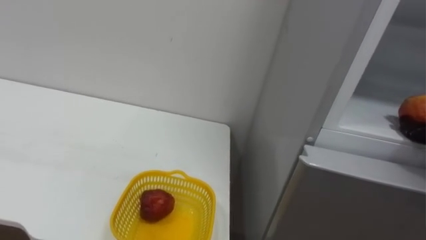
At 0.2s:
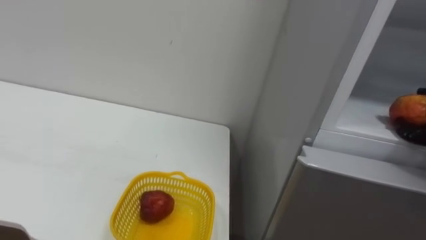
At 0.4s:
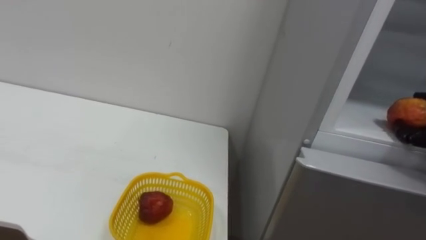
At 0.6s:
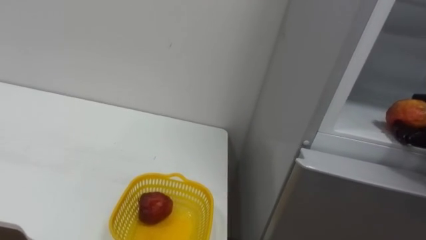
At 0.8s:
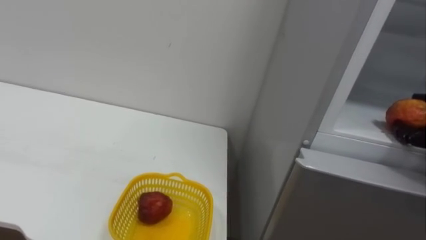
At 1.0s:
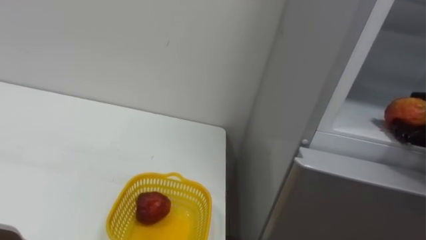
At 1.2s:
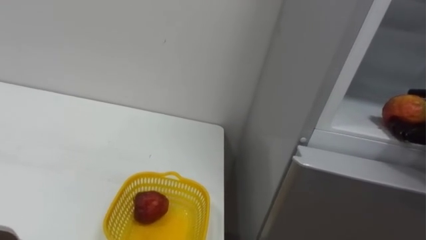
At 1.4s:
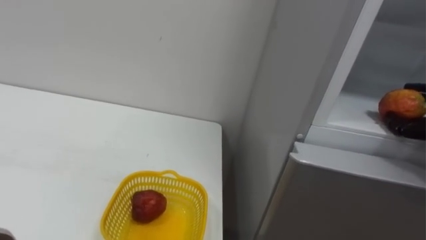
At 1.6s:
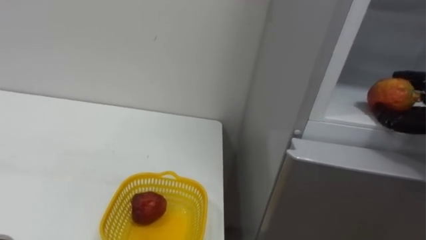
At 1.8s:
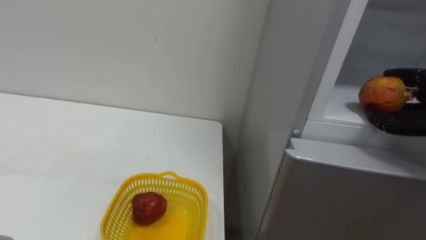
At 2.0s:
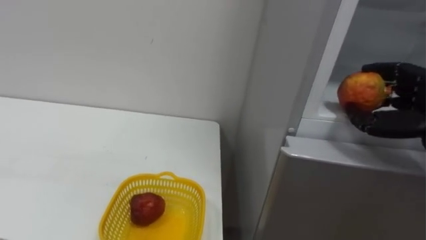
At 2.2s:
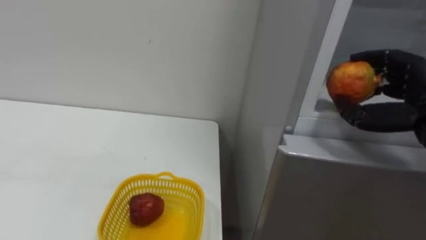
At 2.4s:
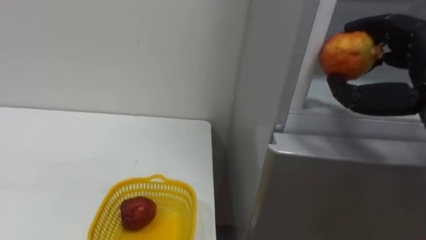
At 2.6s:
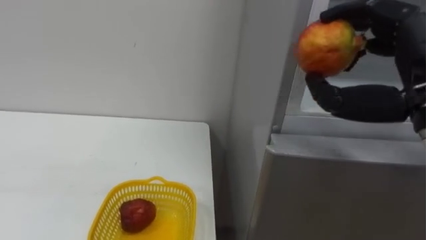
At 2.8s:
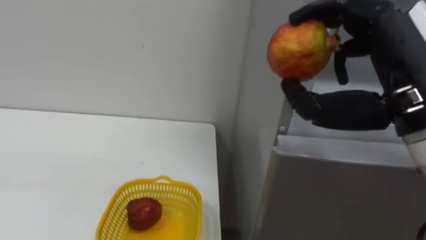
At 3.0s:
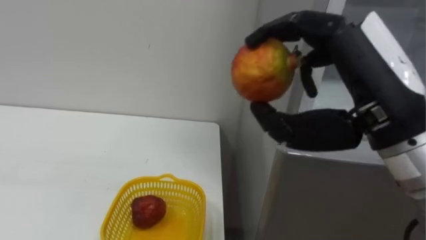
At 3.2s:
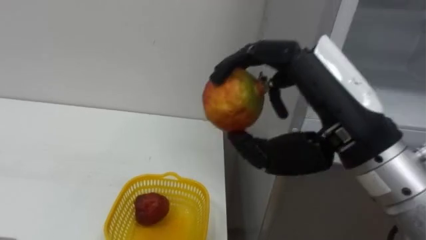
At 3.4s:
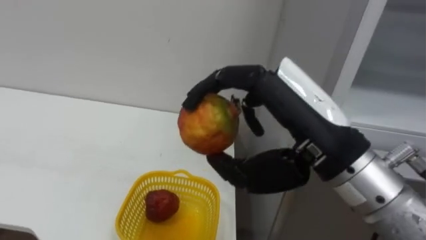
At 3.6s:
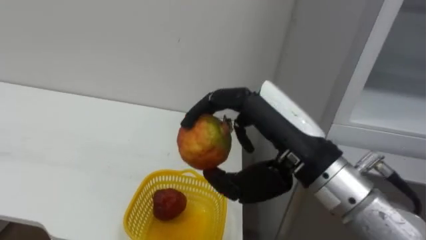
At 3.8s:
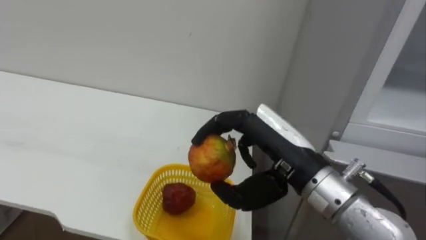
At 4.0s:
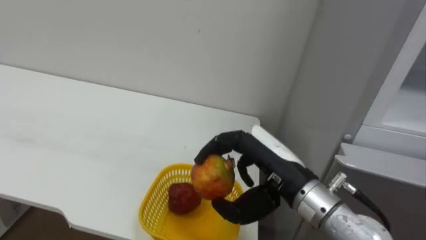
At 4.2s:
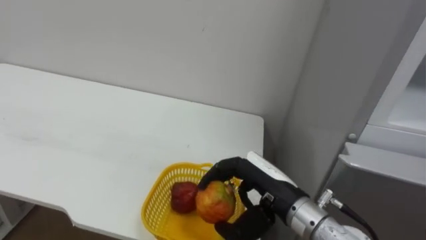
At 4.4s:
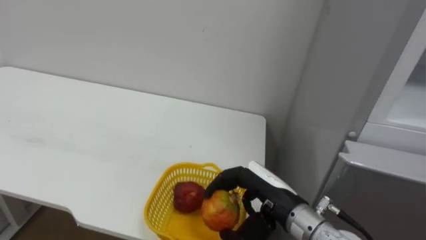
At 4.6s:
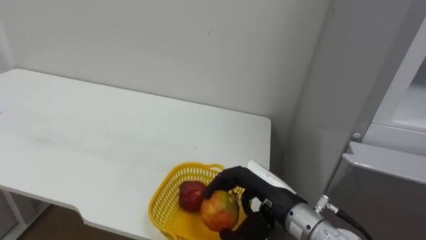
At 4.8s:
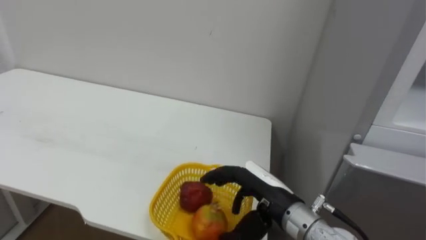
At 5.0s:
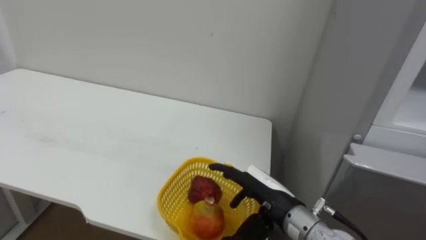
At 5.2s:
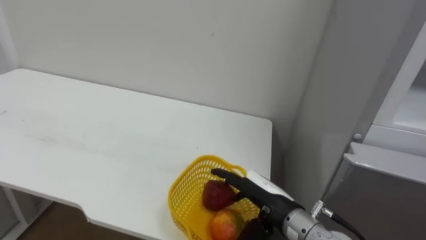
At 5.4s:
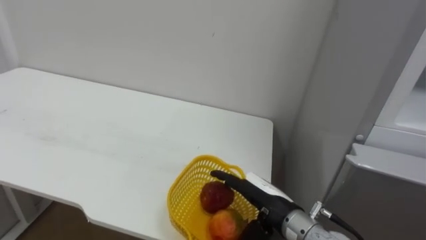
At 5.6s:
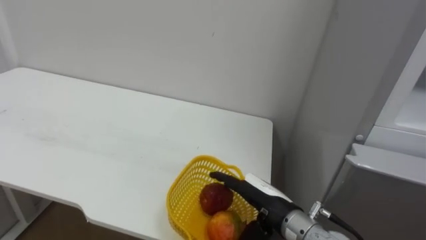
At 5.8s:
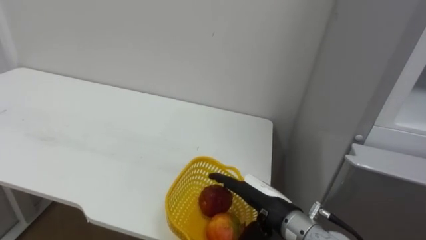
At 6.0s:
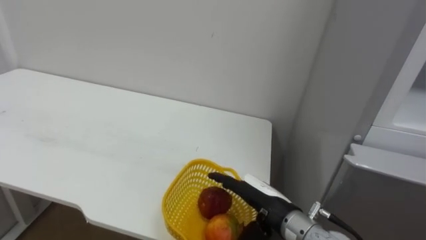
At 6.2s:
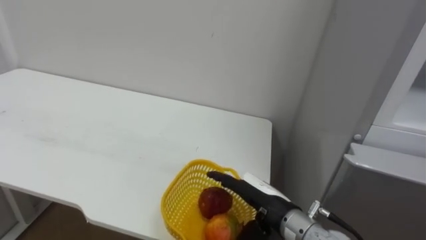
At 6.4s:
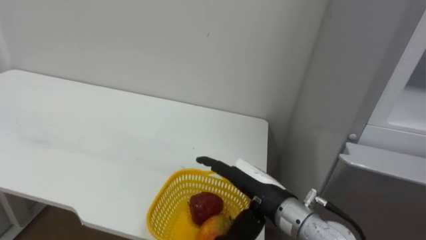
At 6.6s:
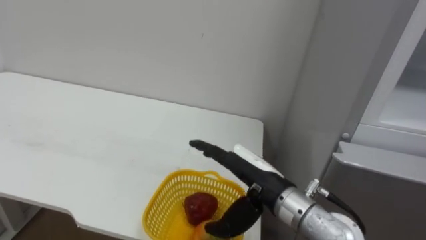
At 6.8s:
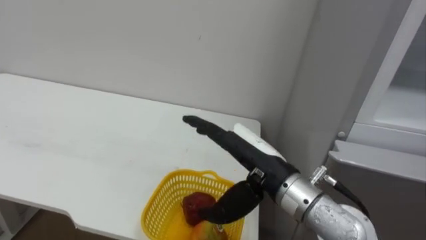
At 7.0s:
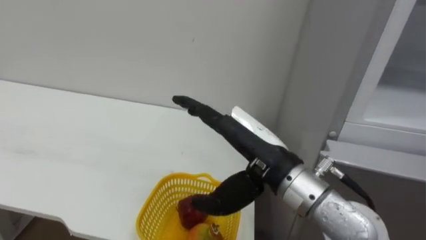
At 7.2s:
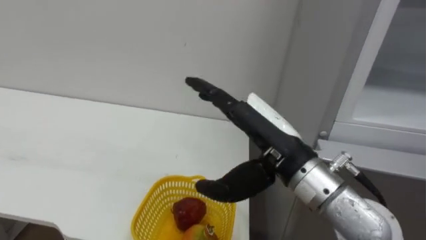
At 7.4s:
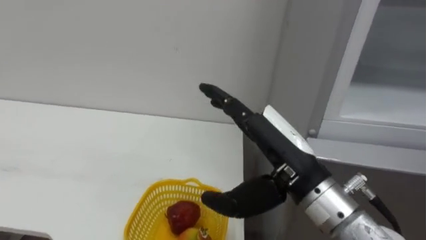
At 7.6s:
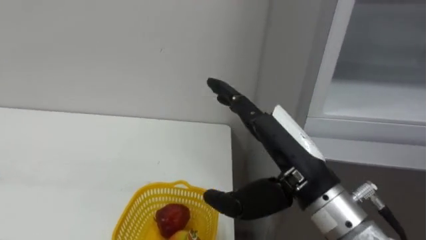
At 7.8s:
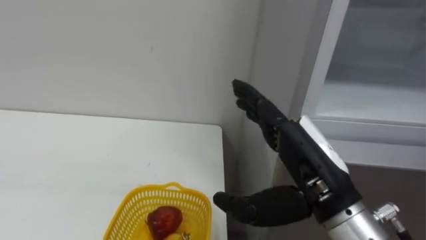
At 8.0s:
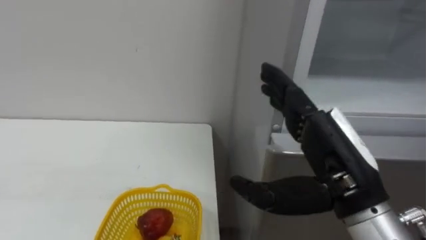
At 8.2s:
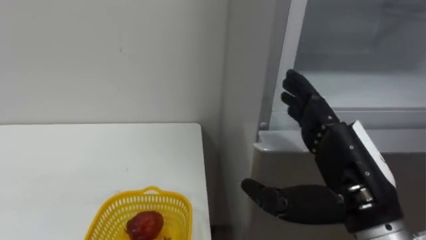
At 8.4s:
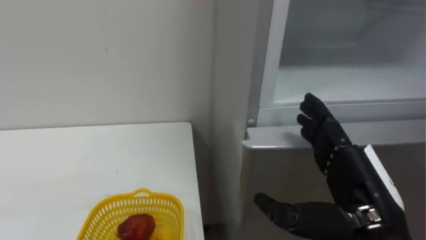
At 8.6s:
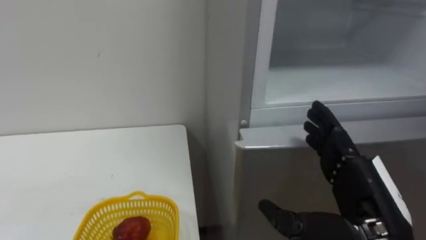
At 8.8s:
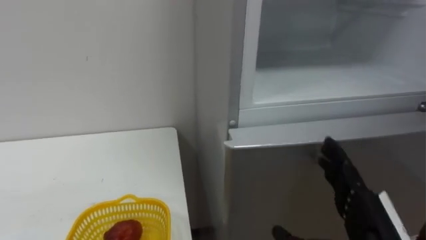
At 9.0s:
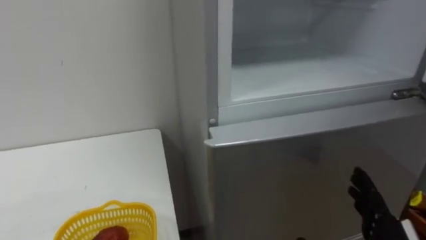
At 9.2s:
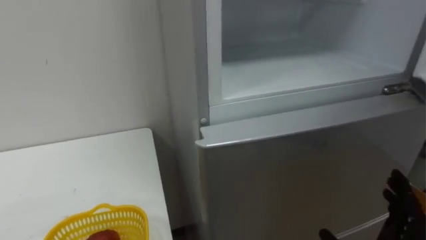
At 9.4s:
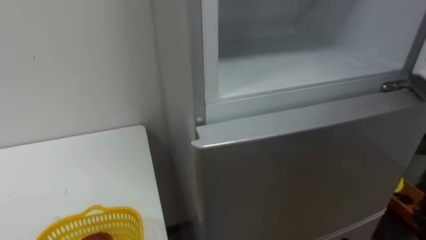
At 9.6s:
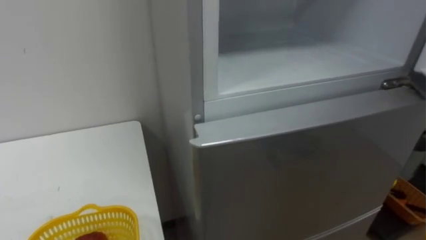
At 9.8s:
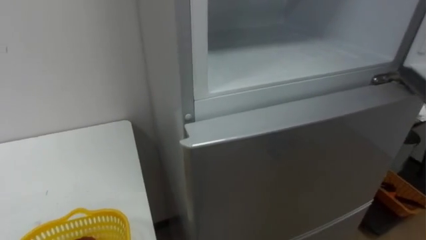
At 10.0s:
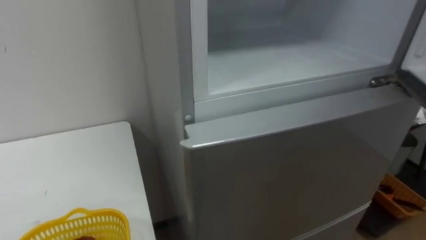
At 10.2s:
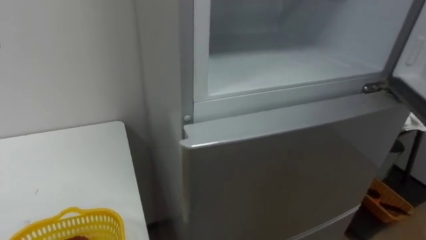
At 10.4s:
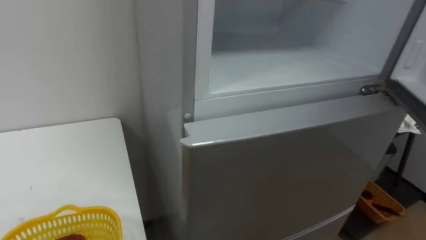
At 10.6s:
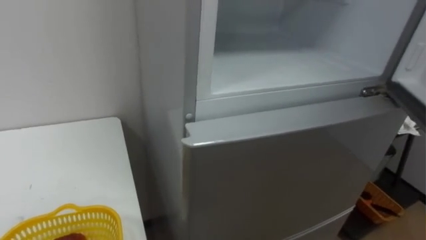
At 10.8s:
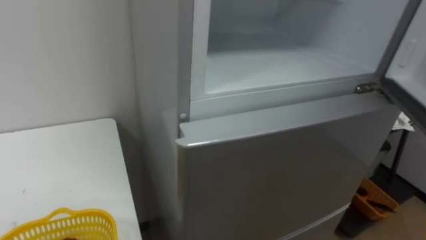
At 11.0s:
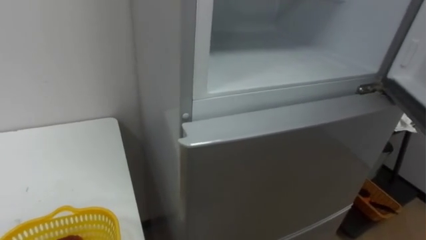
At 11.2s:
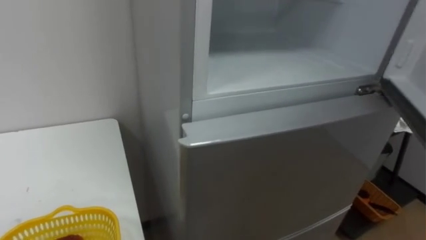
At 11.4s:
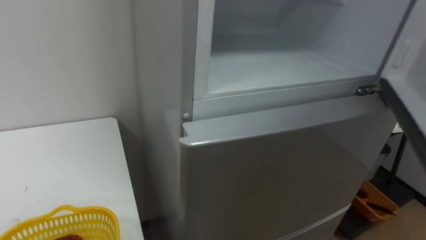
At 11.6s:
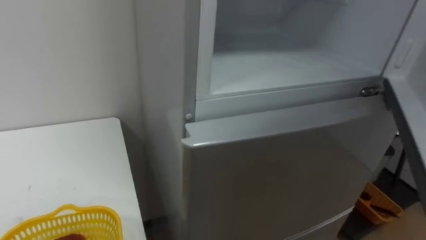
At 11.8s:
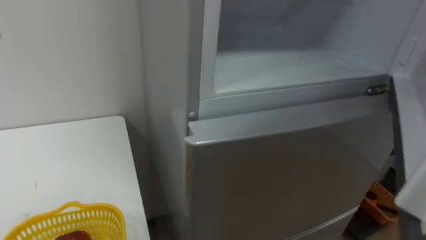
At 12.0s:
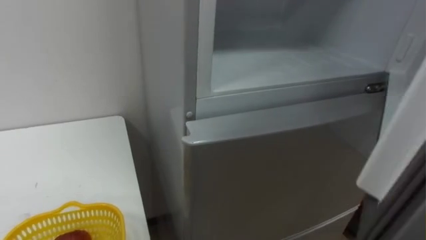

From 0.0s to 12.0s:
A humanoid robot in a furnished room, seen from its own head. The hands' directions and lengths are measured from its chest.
Task of the whole recording: Open the refrigerator door, take out the apple and the pomegranate, place them in the fruit basket on the left, and close the refrigerator door.
From 3.0s to 4.4s: The right hand heads downward, covering some 20 cm.
From 4.4s to 6.0s: The right hand opens.
From 6.0s to 7.6s: The right hand goes some 15 cm upward.

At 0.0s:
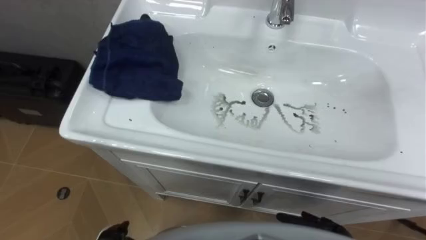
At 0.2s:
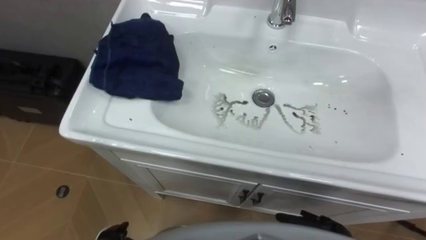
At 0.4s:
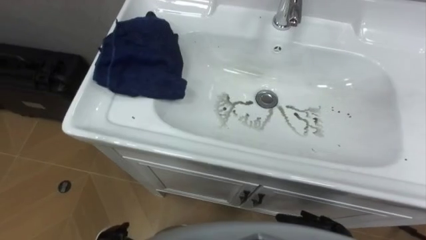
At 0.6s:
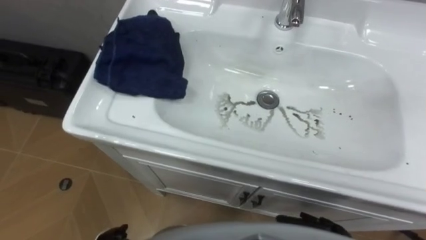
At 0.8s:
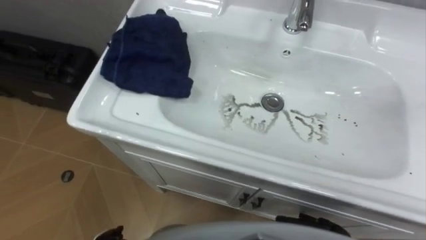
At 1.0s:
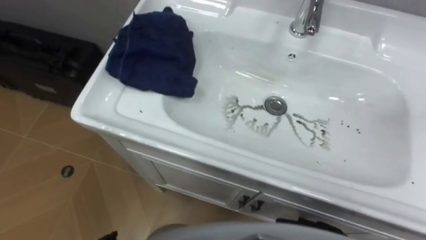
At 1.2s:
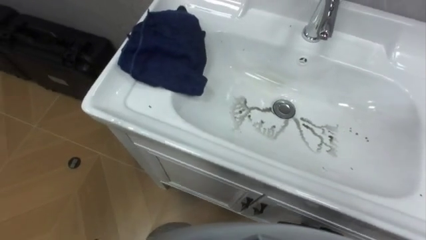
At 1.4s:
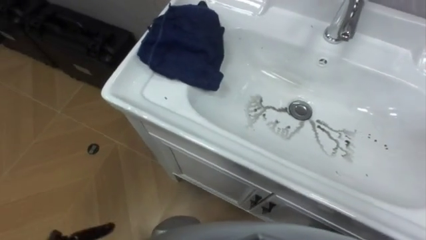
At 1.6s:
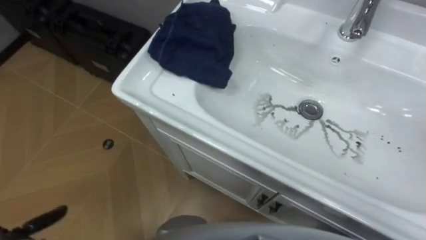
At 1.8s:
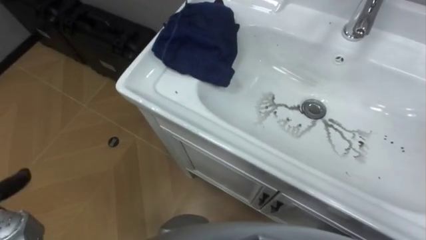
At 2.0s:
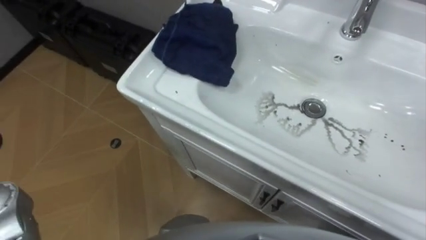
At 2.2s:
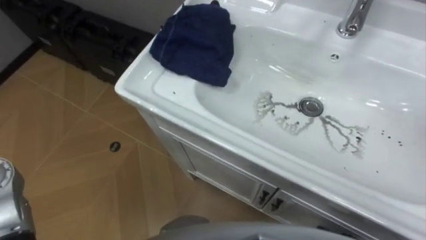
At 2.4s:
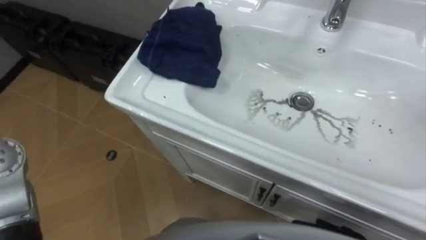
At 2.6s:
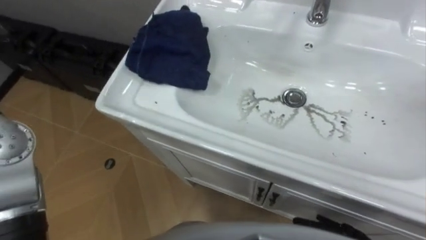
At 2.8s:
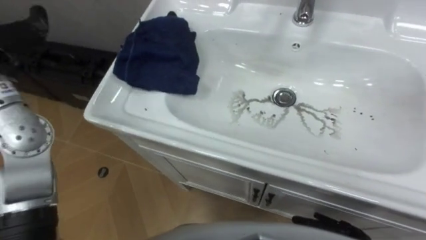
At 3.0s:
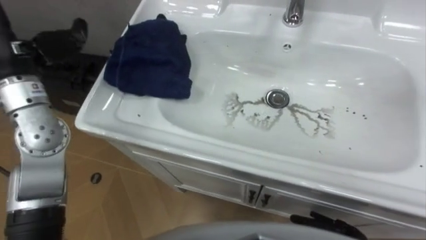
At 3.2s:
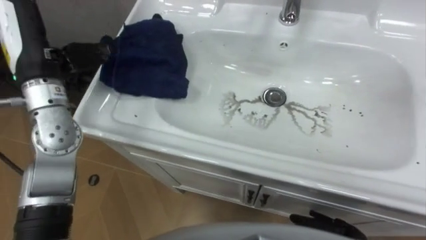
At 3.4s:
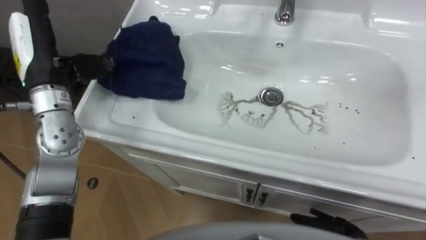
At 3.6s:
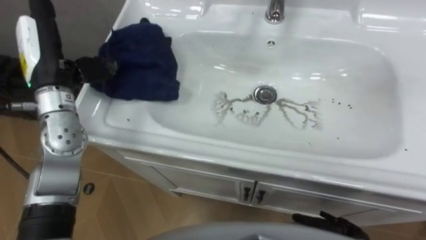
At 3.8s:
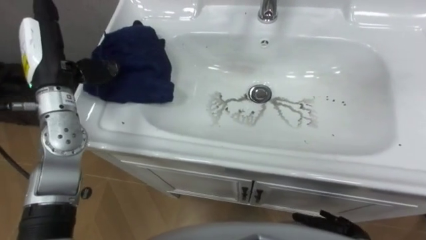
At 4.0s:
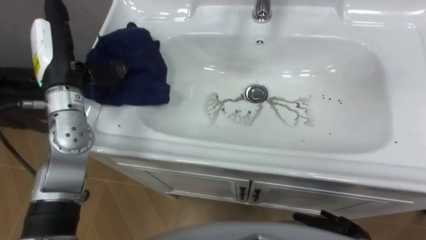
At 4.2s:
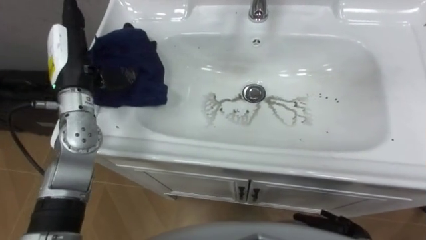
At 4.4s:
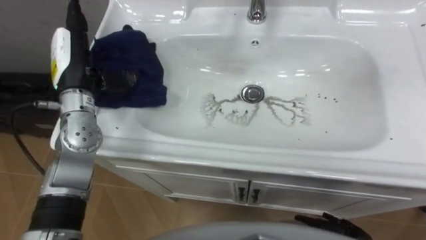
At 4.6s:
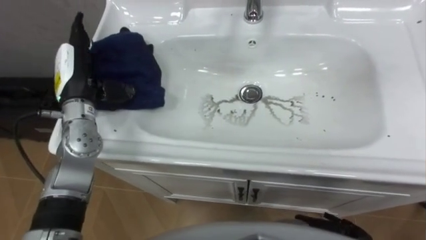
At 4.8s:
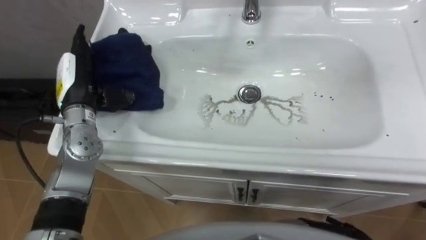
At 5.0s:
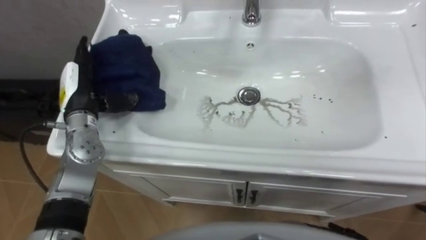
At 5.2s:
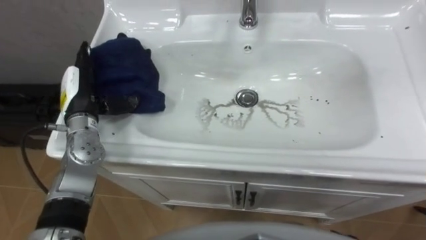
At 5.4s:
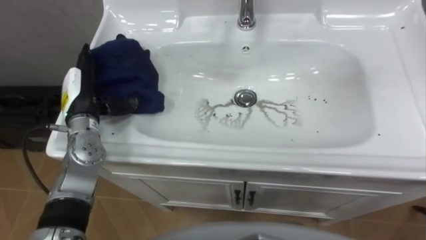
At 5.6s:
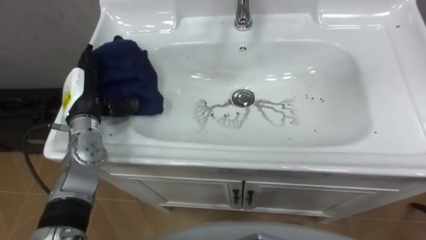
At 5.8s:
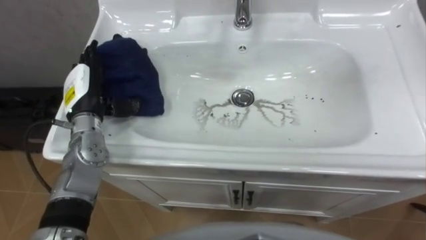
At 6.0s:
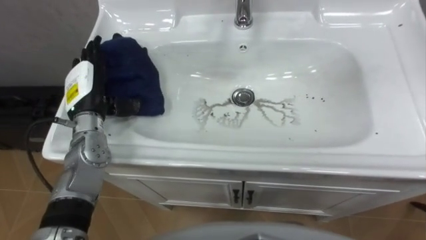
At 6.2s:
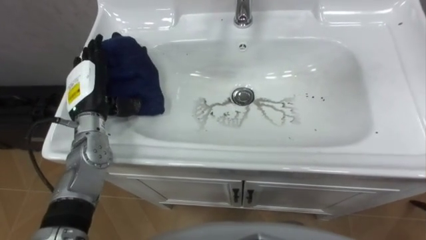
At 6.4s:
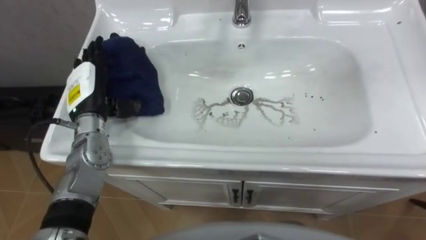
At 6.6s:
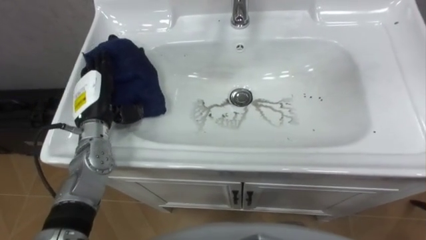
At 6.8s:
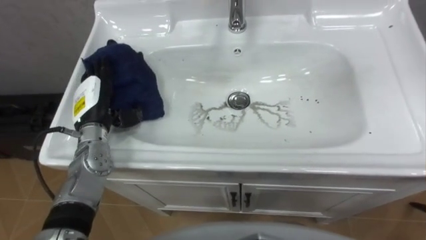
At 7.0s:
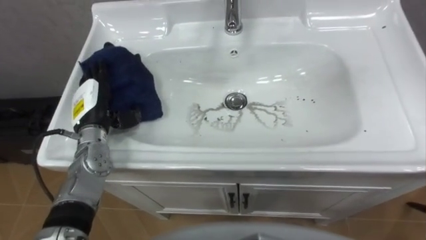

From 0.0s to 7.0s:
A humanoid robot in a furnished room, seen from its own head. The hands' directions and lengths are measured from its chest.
Task of the whole recording: Use the cloth on the right to wipe away the black stain in the sink.
From 4.2s to 5.6s: The left hand heads downward, covering roughly 10 cm.
